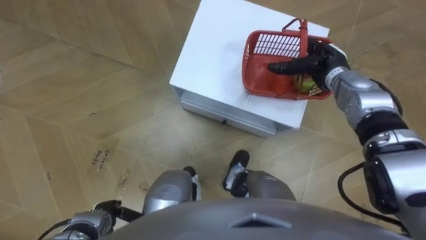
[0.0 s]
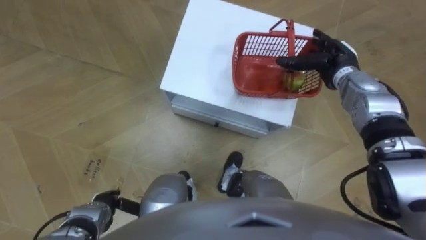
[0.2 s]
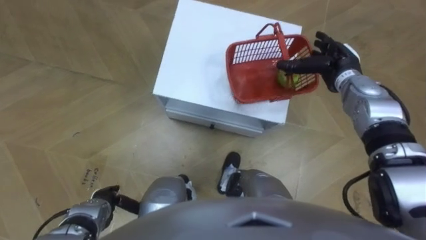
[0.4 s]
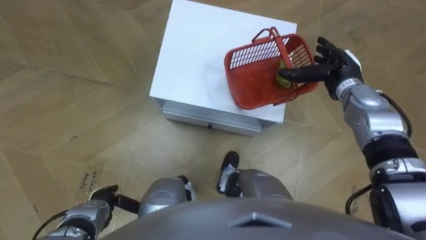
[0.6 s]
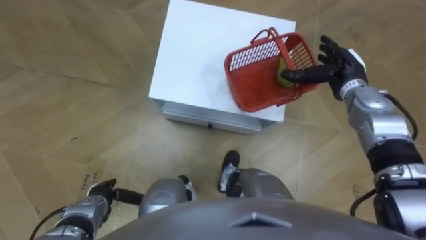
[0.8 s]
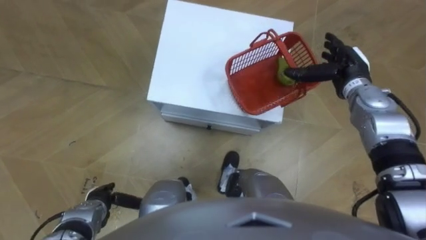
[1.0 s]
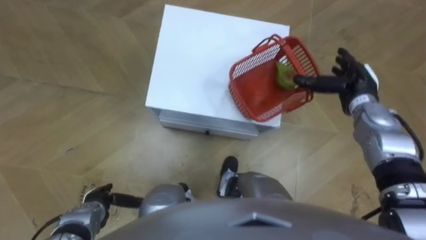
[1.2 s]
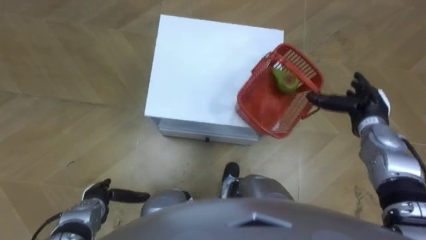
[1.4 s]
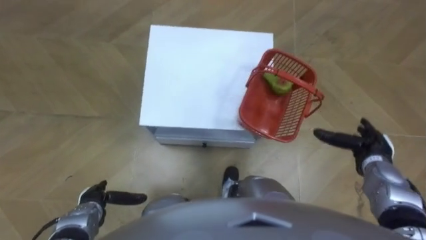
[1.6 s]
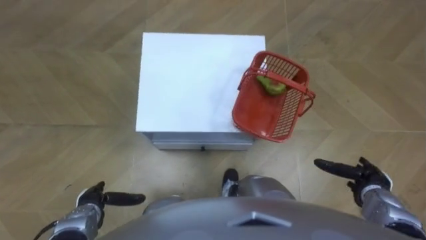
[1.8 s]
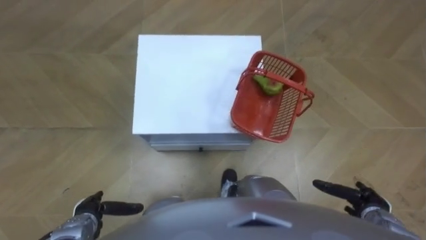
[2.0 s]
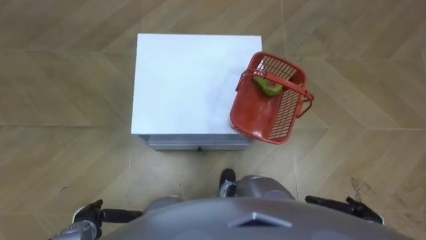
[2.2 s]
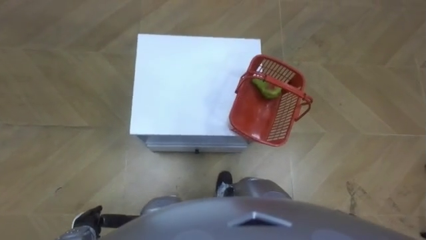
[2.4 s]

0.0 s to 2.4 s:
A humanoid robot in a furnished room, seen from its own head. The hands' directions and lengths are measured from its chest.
Task of the whole recording: Pick up the fruit basket from the floor and place it on the cabinet.
0.0 to 1.2 s: The right hand shifts some 10 cm to the right and backward.
1.2 to 2.4 s: The right hand travels backward and downward by some 35 cm, while the left hand shifts roughly 5 cm backward.

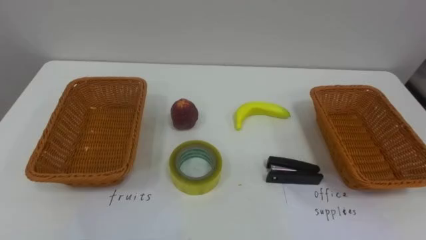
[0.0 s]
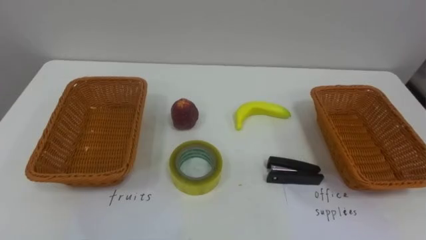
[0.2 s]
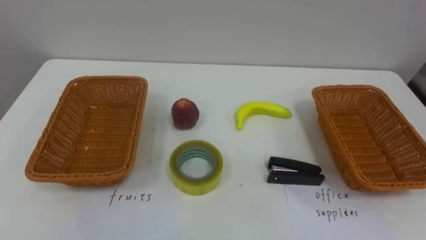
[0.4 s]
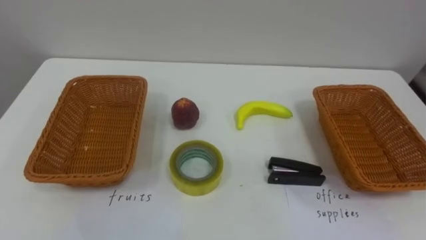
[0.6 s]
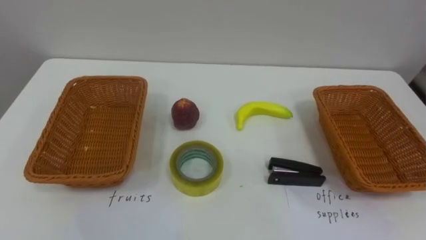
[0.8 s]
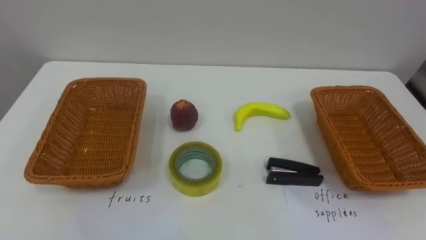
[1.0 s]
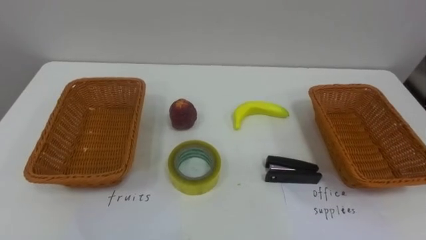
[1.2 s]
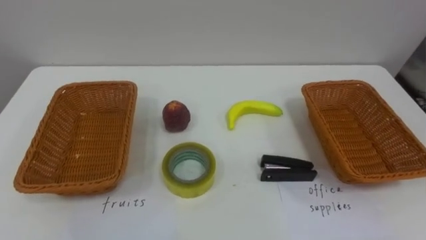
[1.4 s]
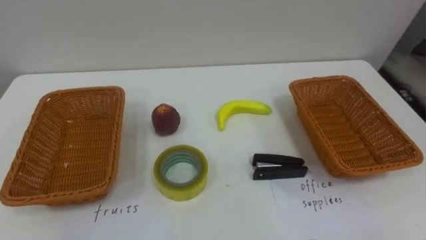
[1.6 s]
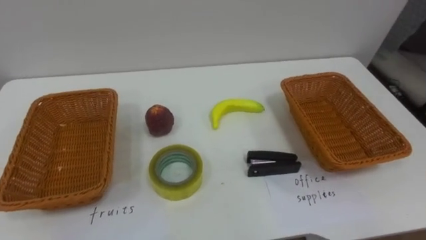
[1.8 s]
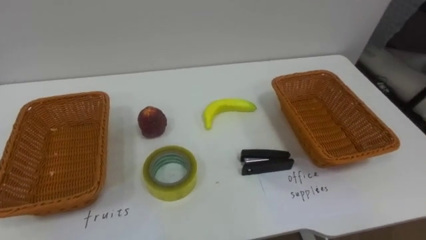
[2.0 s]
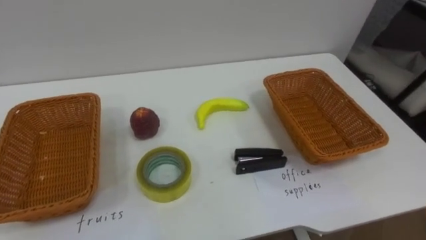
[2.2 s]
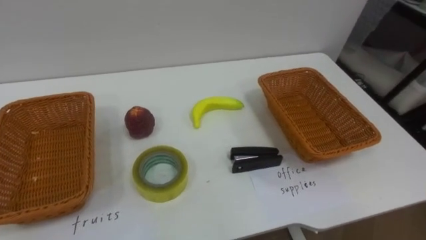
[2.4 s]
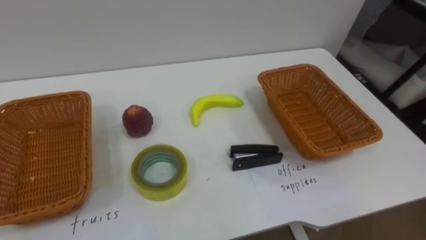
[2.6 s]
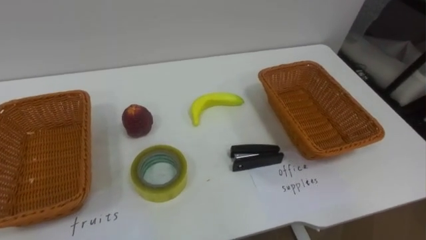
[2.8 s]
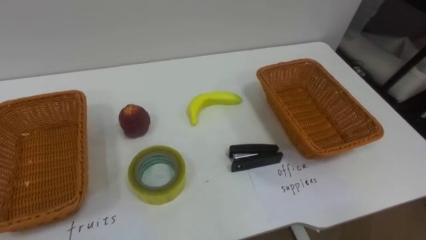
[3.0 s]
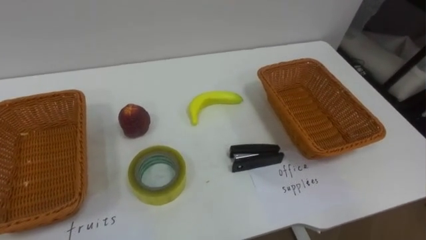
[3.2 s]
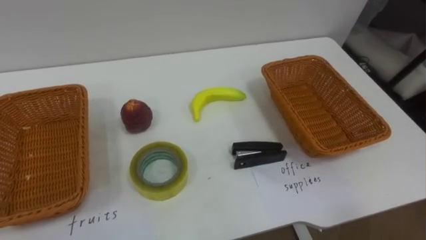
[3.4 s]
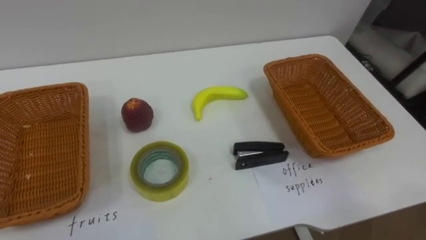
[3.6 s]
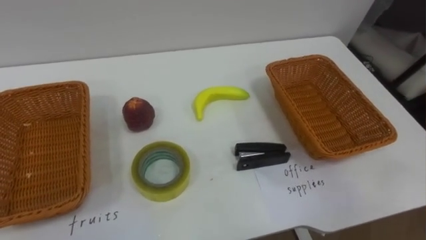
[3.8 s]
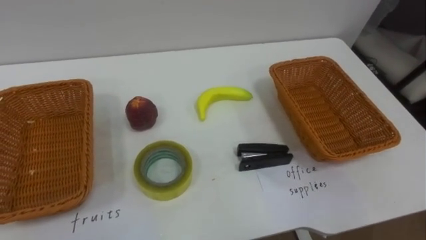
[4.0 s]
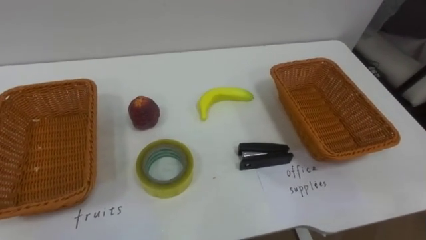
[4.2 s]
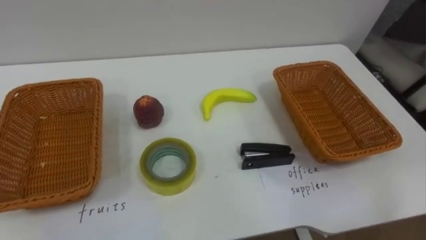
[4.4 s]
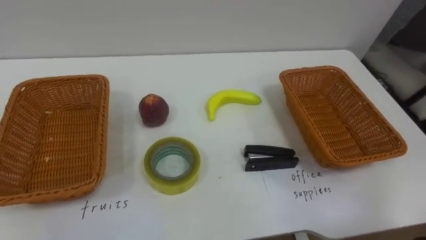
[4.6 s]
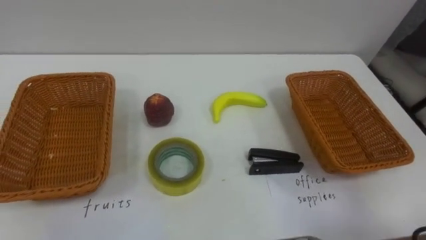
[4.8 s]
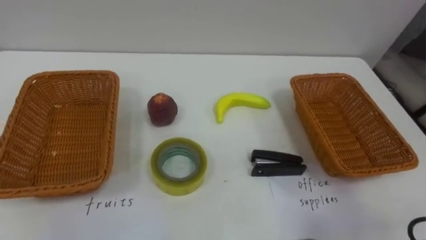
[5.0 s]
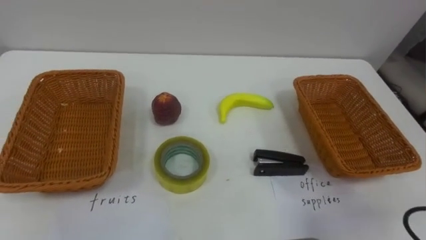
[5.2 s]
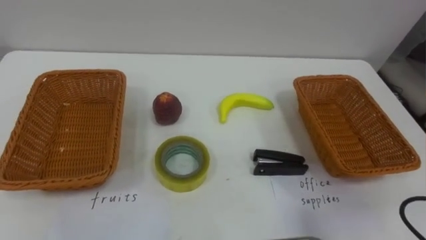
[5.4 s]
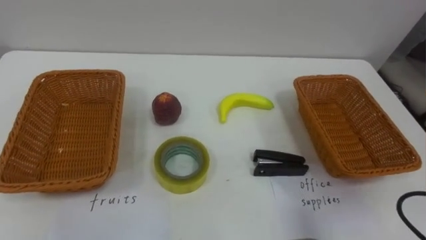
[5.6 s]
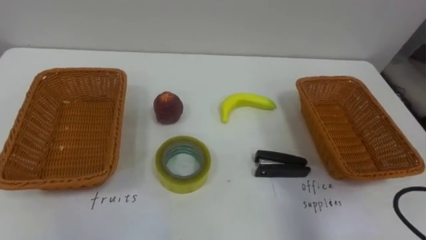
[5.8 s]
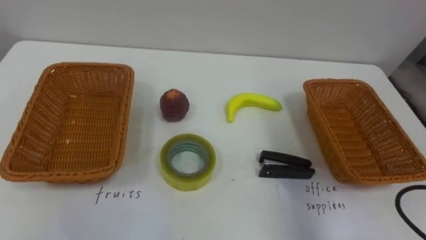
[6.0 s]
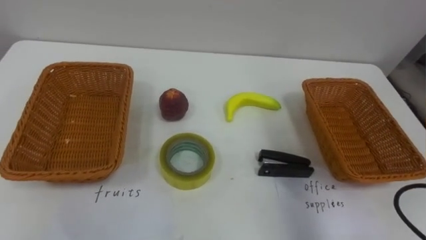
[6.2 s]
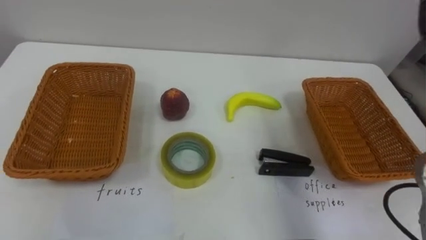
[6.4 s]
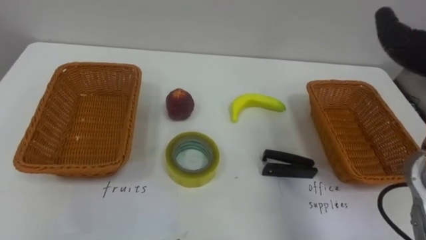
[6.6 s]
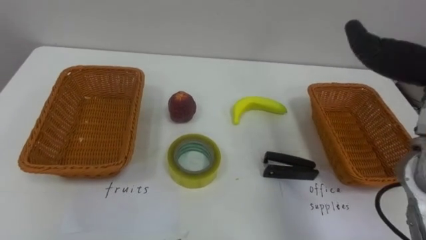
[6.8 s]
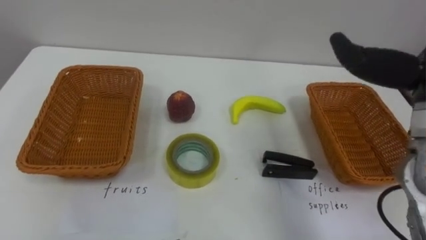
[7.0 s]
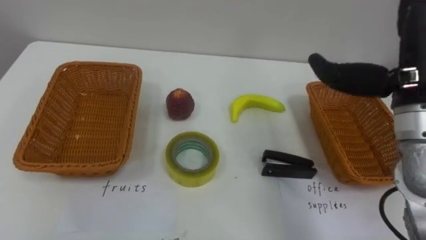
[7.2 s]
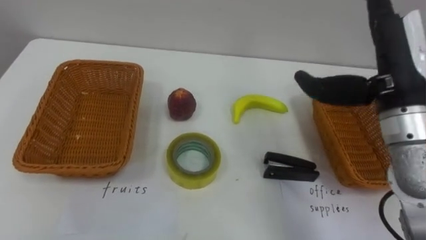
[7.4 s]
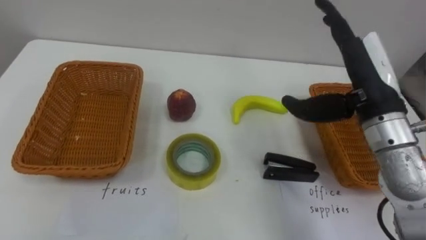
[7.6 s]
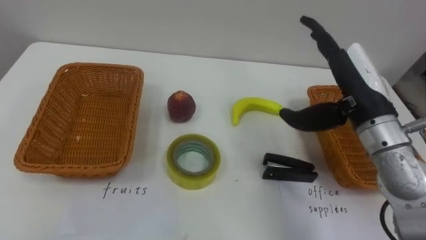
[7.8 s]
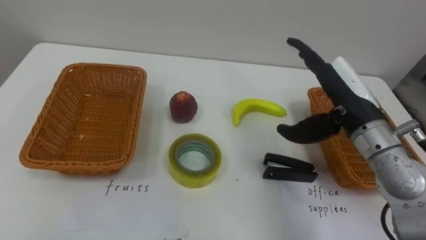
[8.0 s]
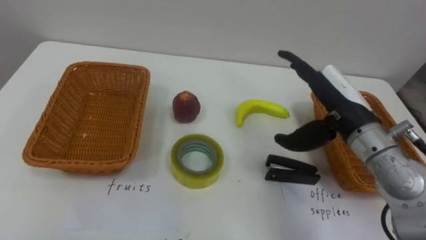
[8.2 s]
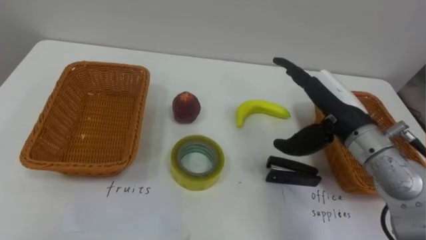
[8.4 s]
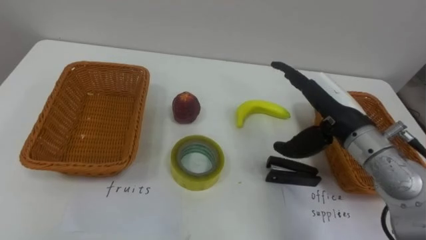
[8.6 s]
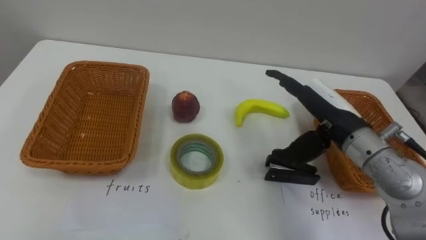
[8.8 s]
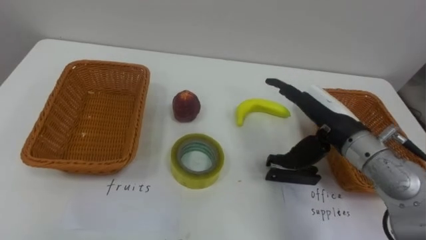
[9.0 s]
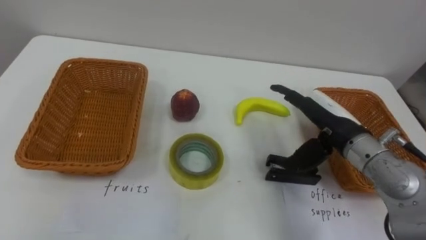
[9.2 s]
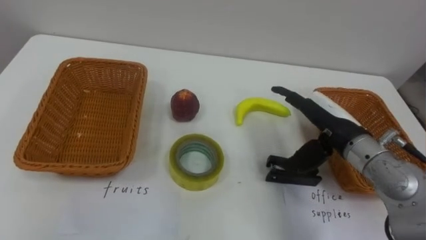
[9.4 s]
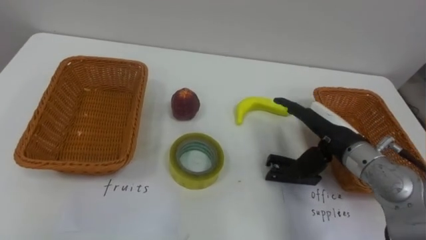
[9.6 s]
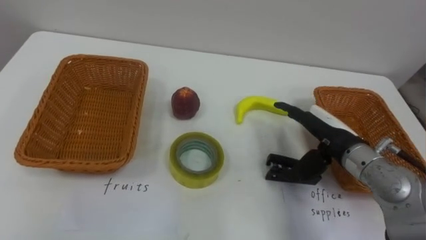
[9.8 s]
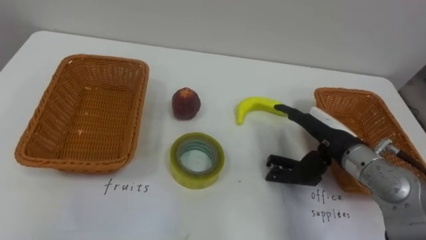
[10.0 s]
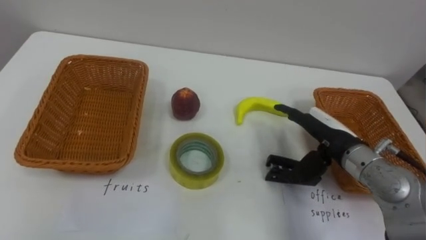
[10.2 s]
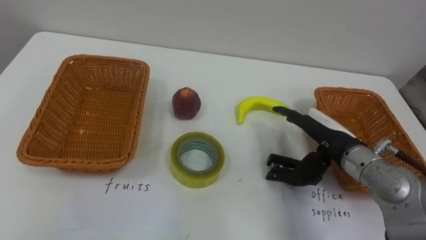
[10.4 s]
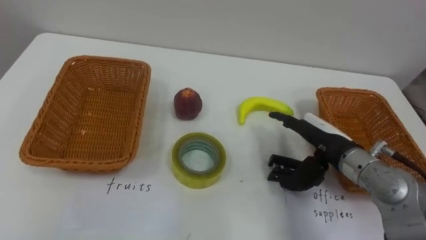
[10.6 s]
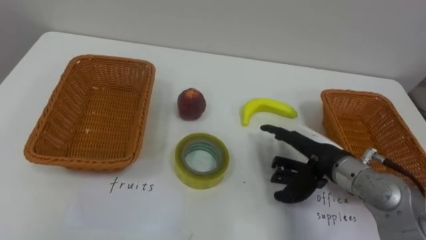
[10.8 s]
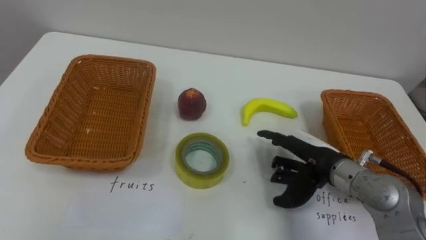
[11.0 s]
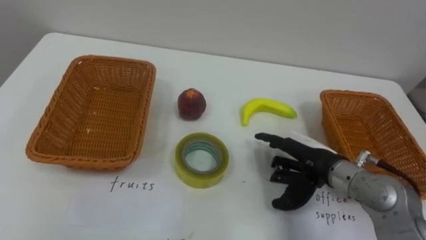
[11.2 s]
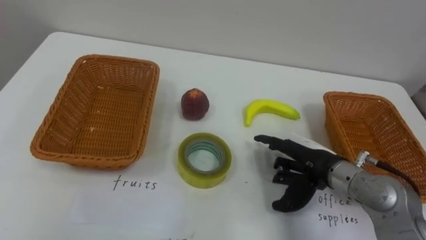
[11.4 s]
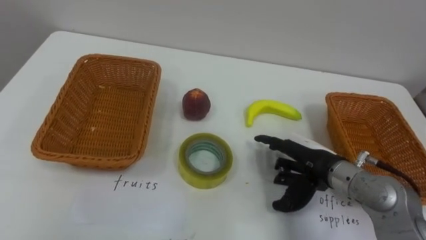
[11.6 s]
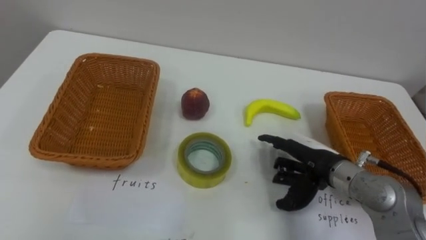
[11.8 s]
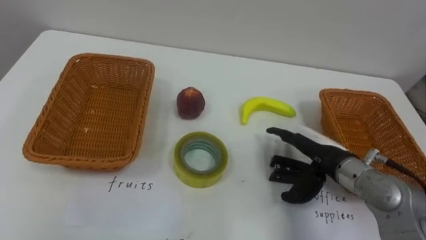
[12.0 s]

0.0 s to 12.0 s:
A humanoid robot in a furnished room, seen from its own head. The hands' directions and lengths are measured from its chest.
Task of the whole recording: Separate the items on the table and place them into the two baskets.
7.6 to 9.0 s: The right hand goes about 10 cm downward.
9.0 to 10.4 s: The right hand shifts roughly 5 cm downward.

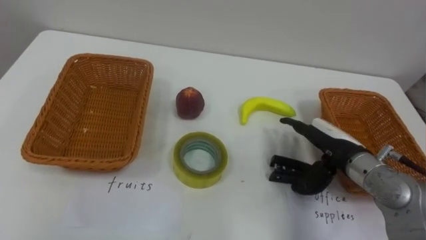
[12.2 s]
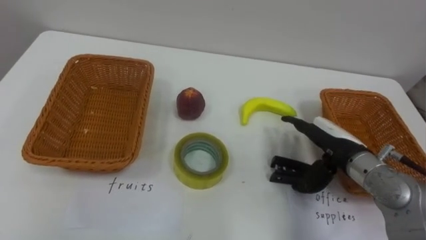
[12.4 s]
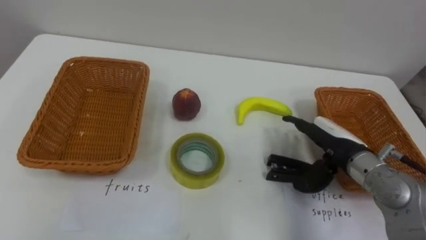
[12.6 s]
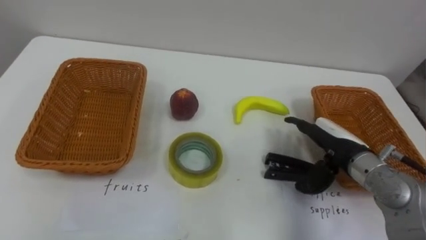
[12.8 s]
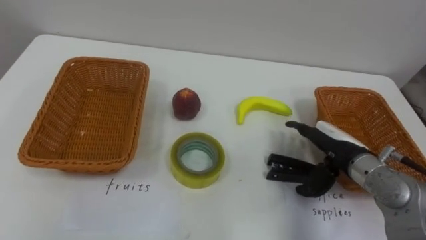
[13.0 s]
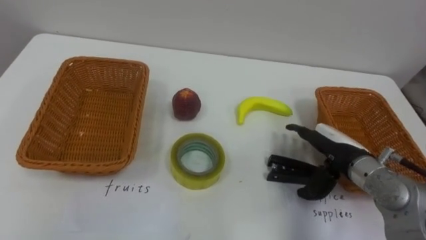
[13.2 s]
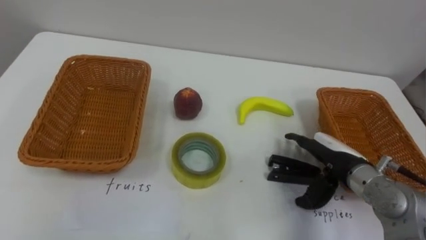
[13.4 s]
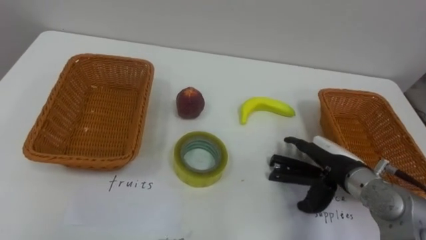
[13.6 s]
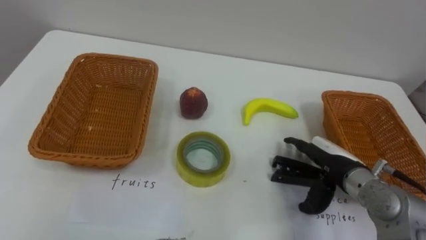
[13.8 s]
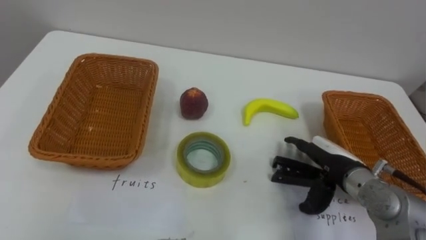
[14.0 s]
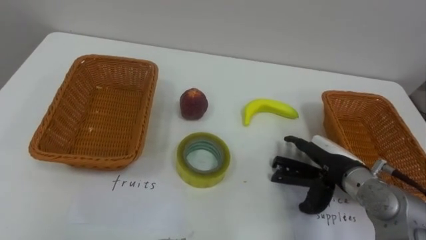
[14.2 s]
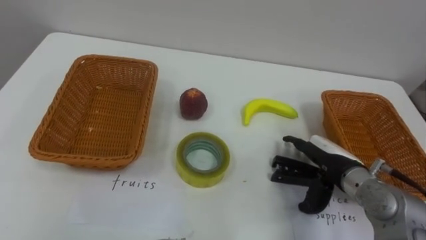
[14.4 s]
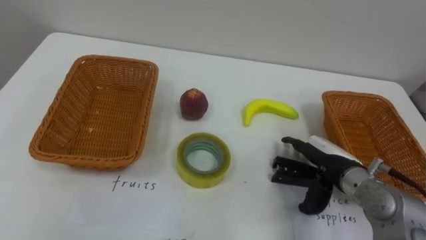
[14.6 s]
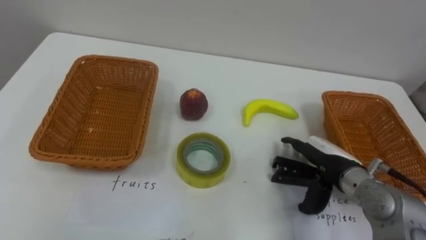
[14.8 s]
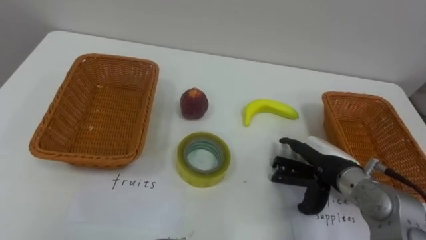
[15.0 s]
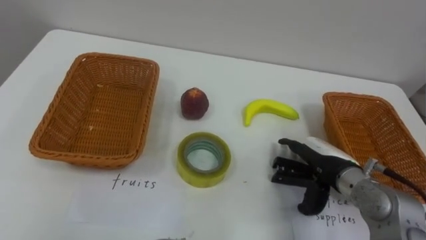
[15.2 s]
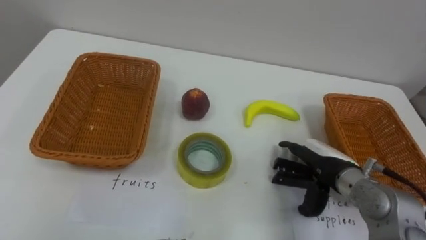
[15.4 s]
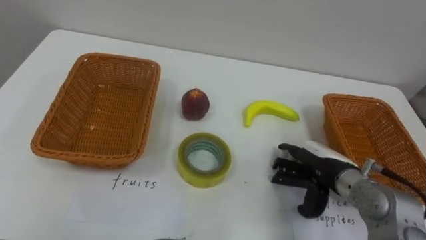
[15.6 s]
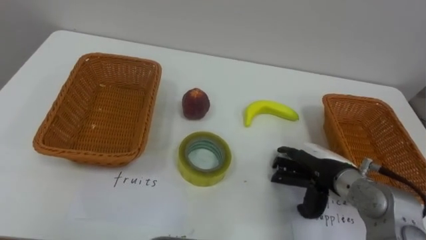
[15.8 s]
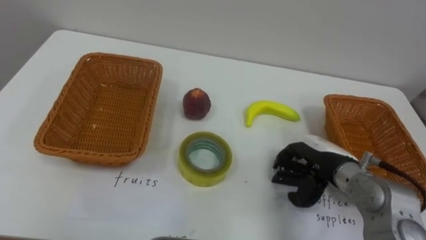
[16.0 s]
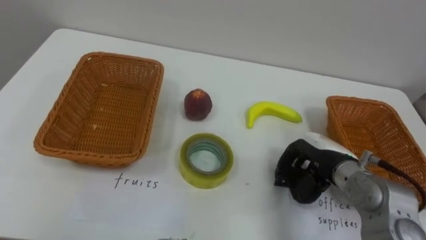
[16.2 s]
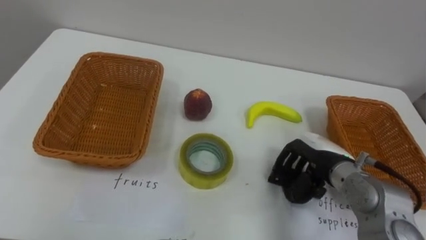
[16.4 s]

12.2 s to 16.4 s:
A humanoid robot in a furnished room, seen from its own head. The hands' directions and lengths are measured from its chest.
Task of the whole recording: Separate the items on the table and place them into the two baskets.
15.0 to 16.4 s: The right hand closes.
